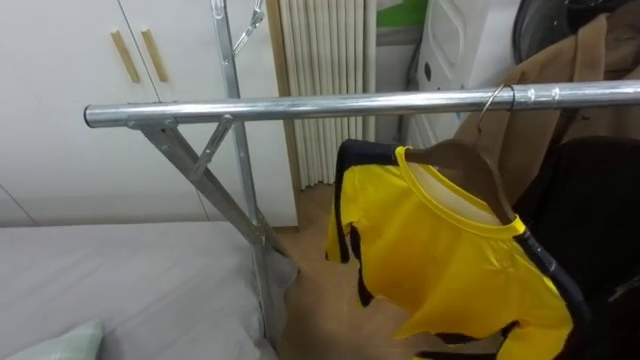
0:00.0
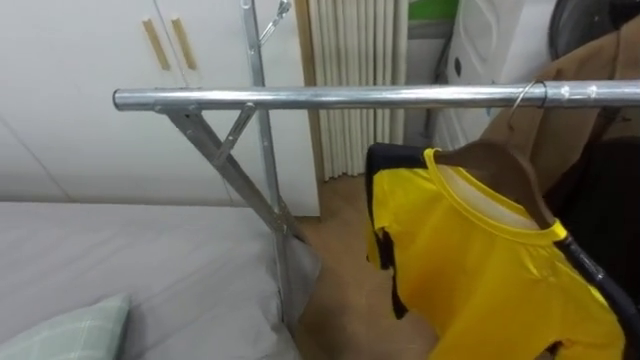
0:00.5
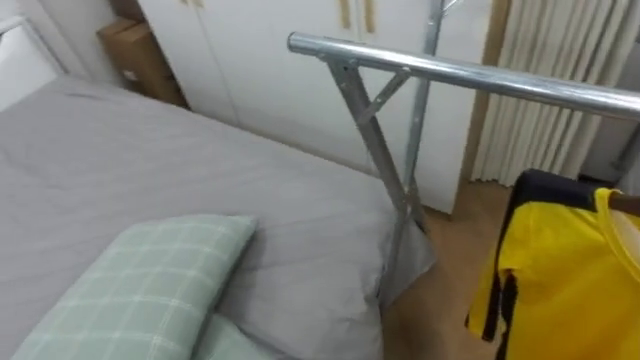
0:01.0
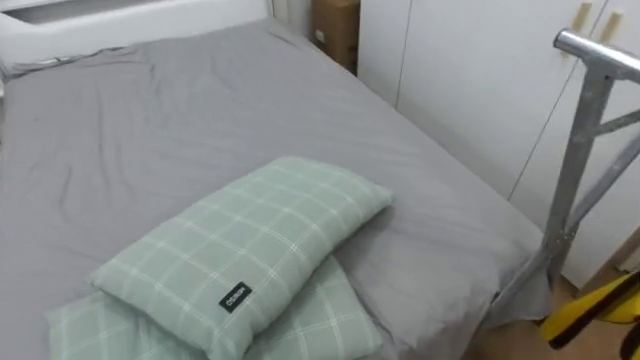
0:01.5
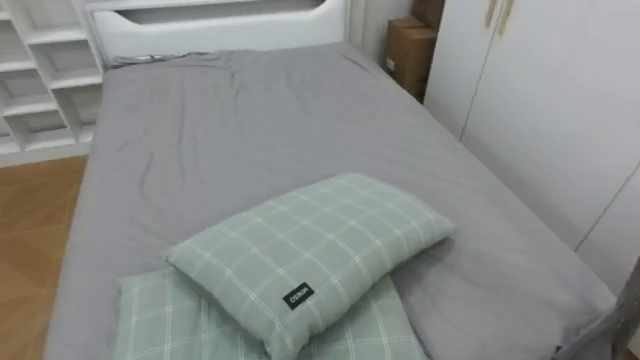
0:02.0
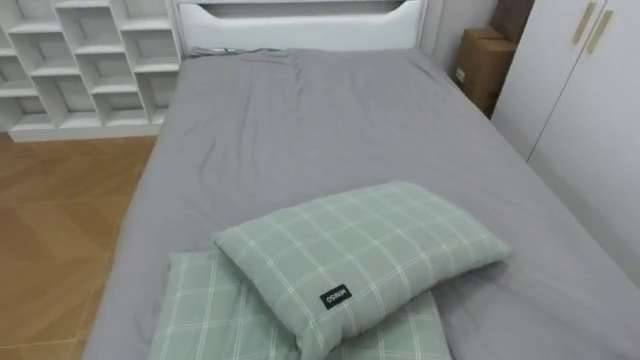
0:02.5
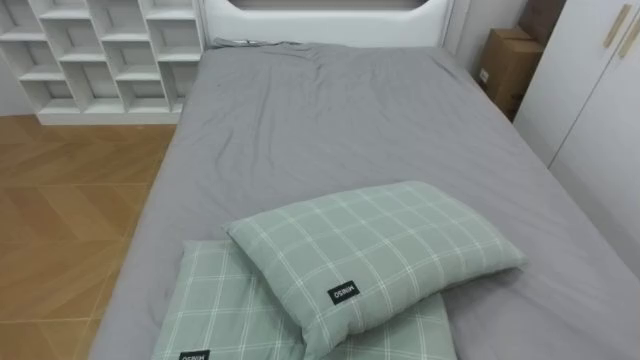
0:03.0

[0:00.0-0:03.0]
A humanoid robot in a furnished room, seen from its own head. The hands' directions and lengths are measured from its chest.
Task of the whole recording: Pick up the yellow shirt on the bed and hang it on the clothes rack on the right.
0:00.0 to 0:01.5: The robot turns to its left by about 60 degrees.
0:01.5 to 0:03.0: The robot rotates roughly 30 degrees to its left.

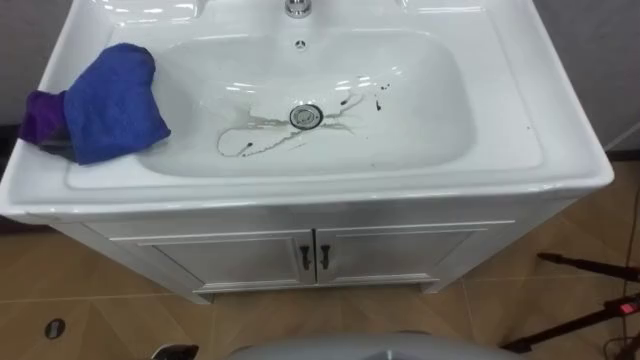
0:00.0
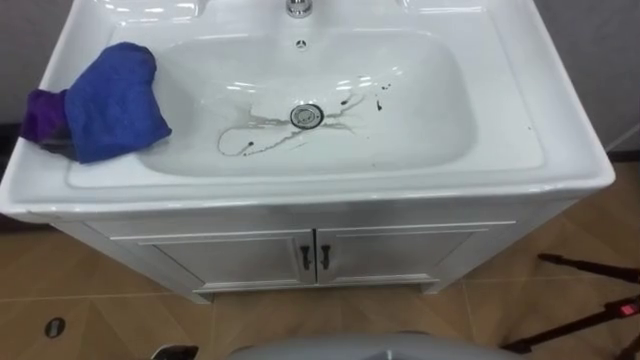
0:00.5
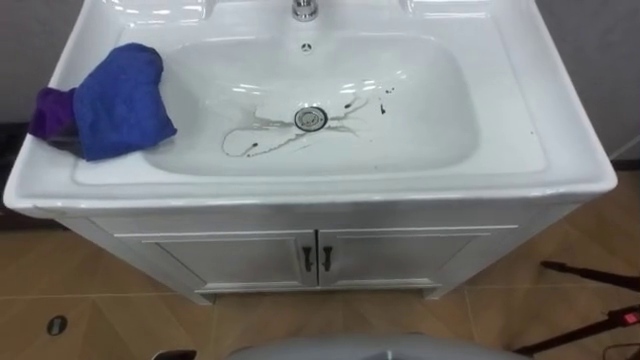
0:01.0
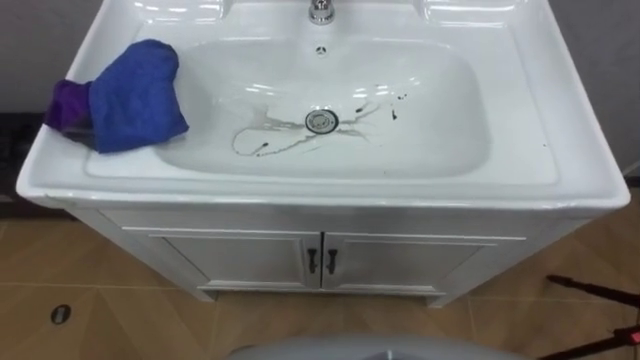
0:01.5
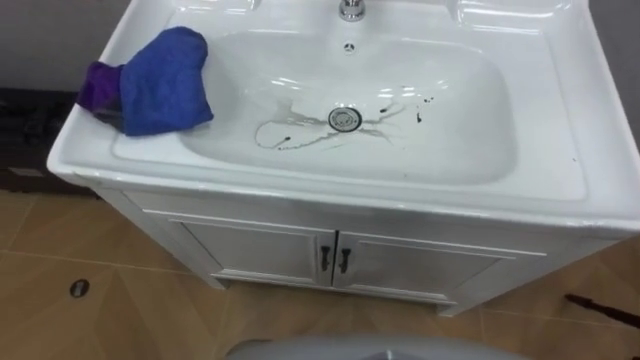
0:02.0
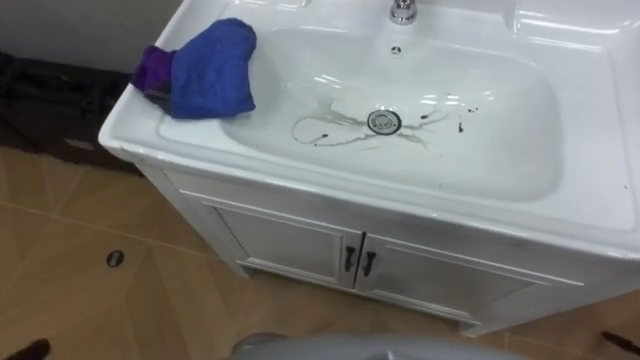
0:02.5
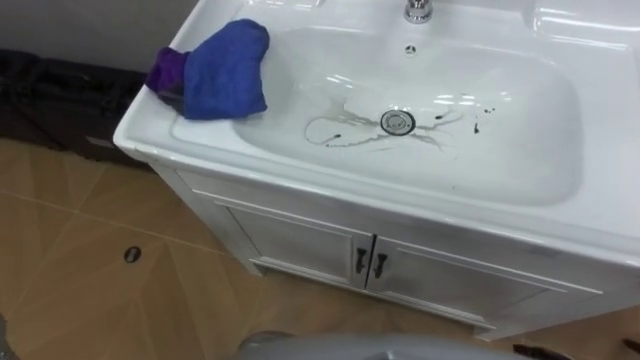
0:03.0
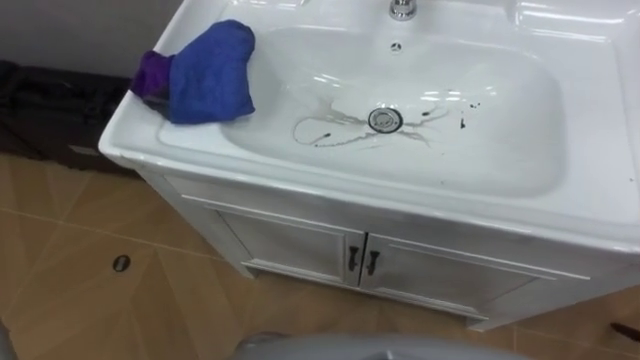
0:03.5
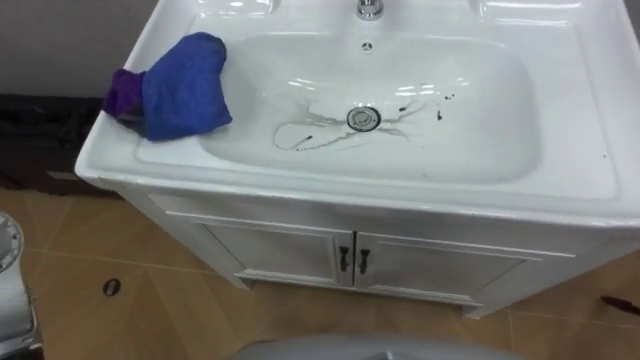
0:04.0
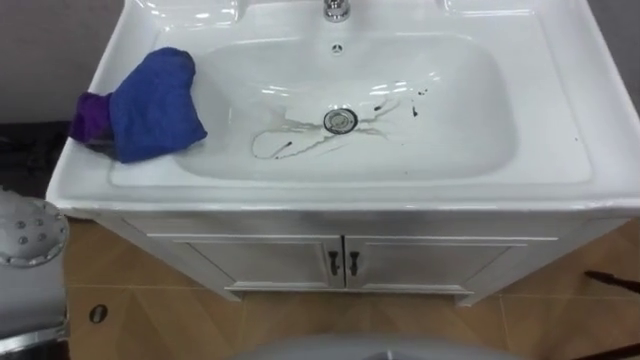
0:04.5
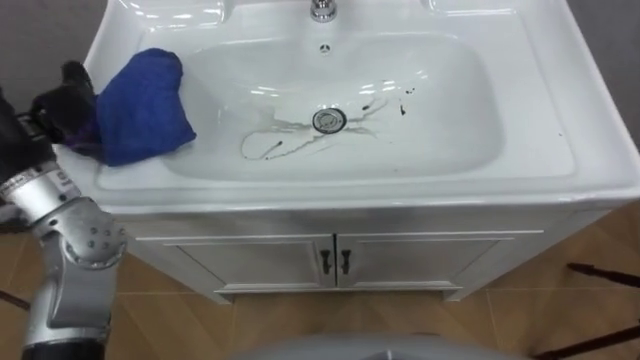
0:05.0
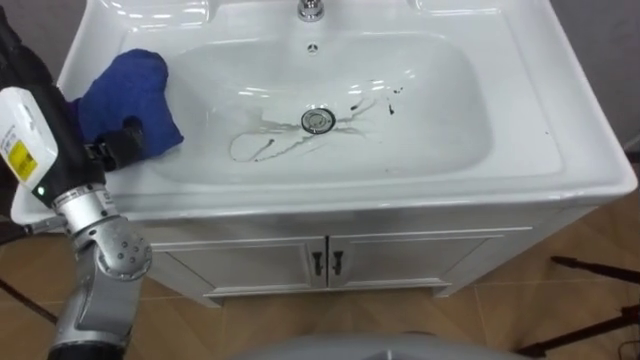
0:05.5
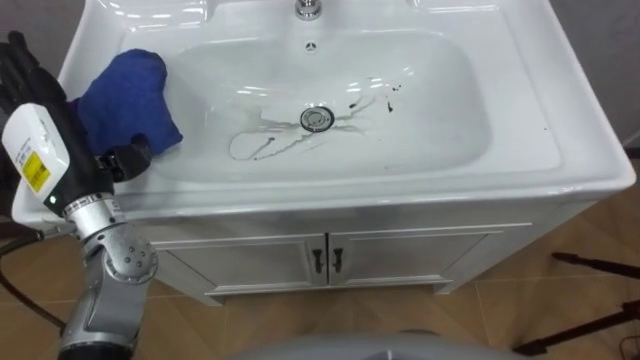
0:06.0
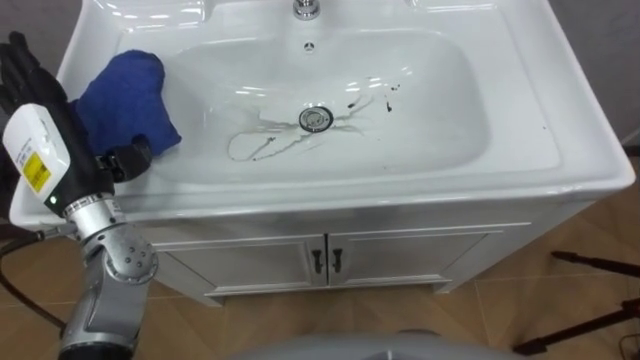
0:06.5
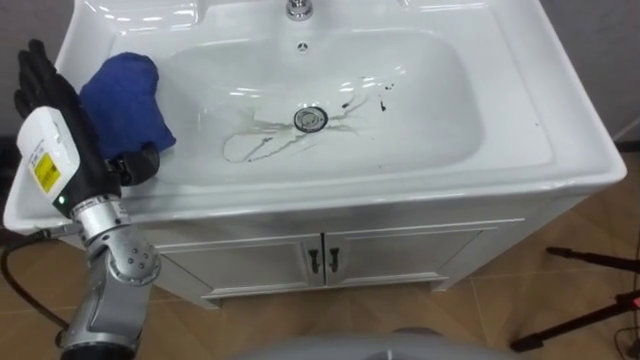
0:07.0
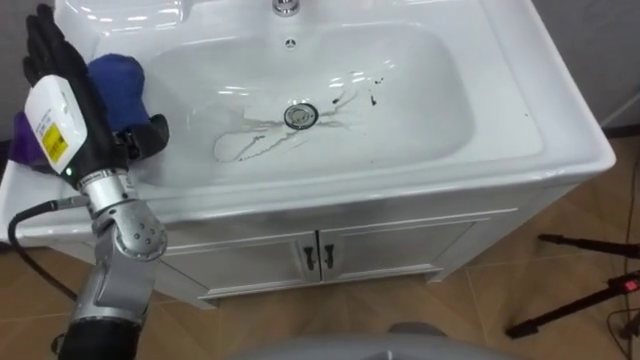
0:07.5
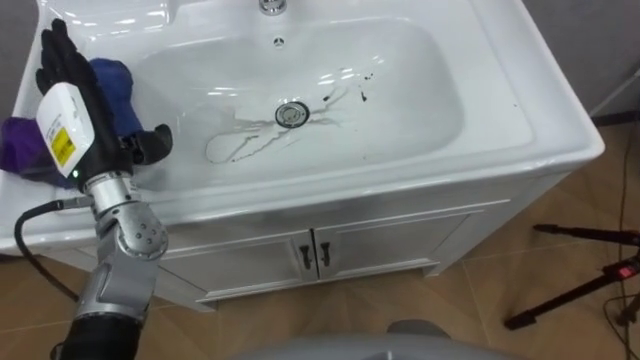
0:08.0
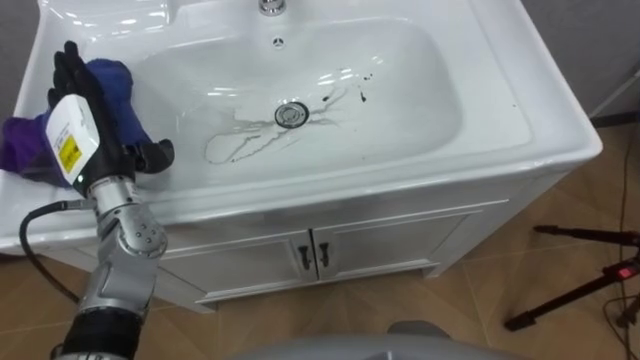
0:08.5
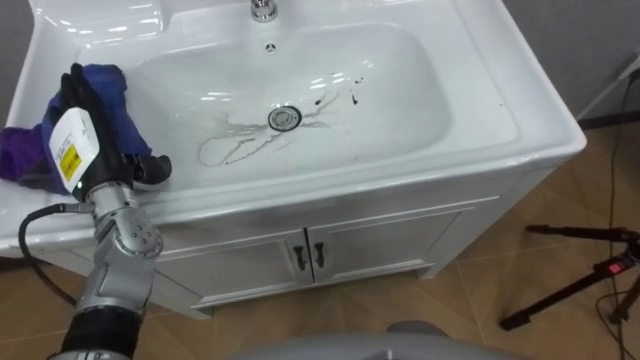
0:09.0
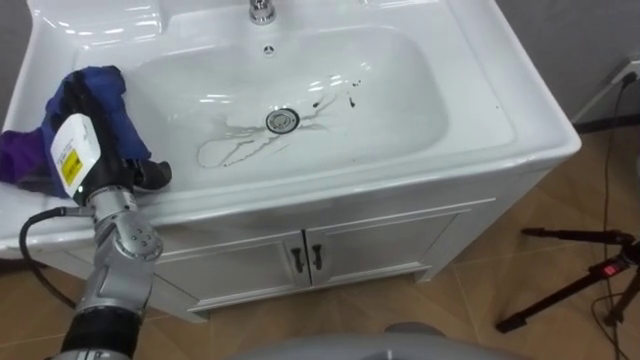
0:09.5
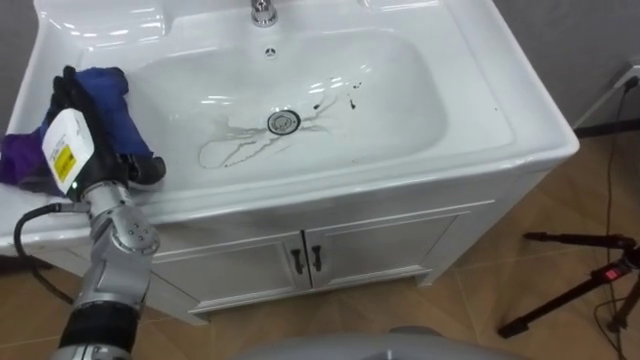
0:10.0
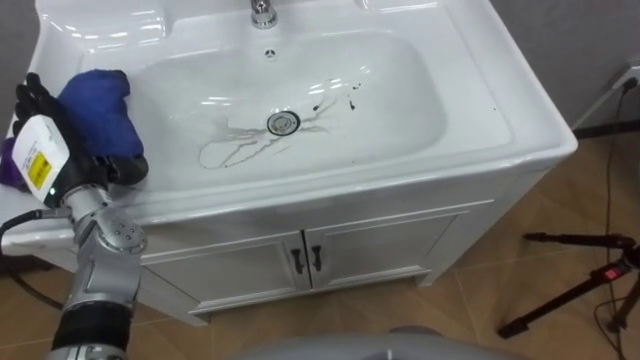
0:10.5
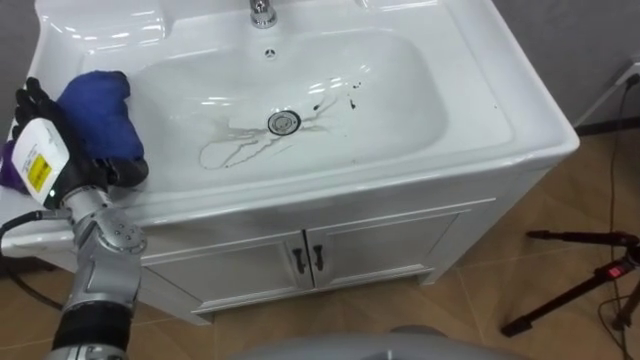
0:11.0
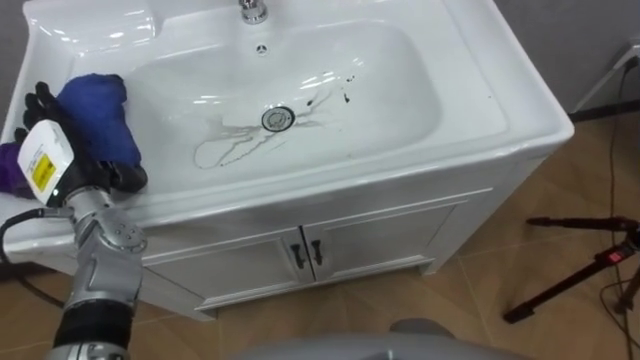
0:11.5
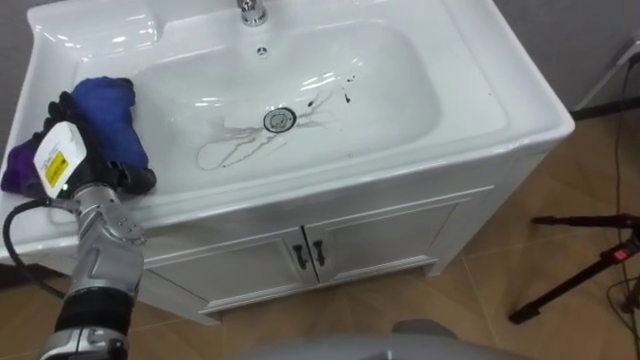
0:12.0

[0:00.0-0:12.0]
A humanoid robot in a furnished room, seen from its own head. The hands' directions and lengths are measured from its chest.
Task of the whole recording: Use the cloth on the right to wipe away the black stain in the sink.
0:08.0 to 0:10.0: The left hand changes place by roughly 5 cm.

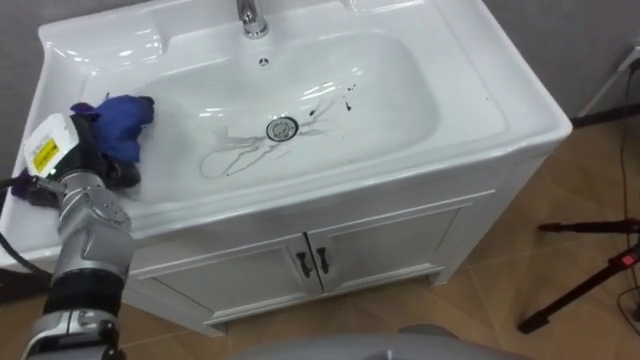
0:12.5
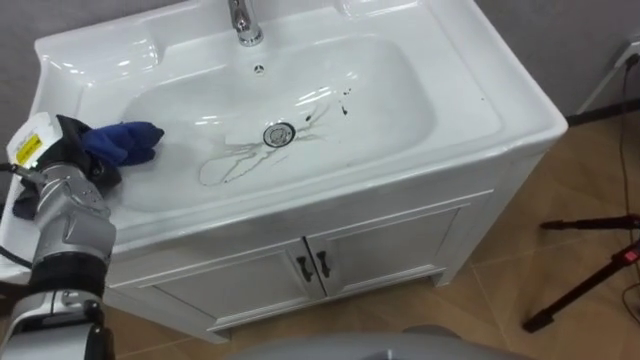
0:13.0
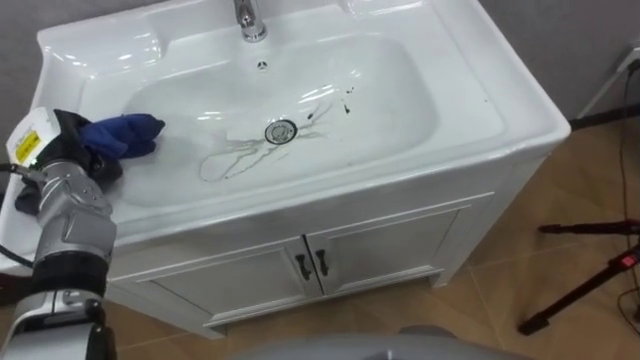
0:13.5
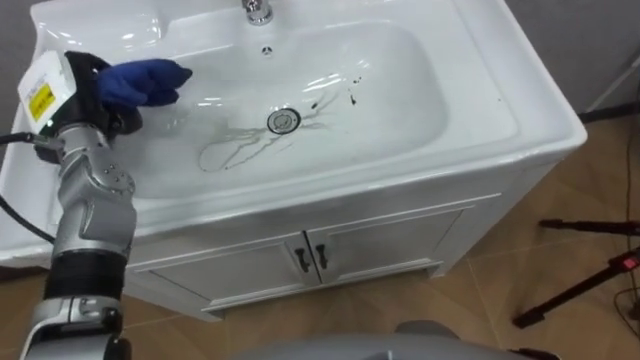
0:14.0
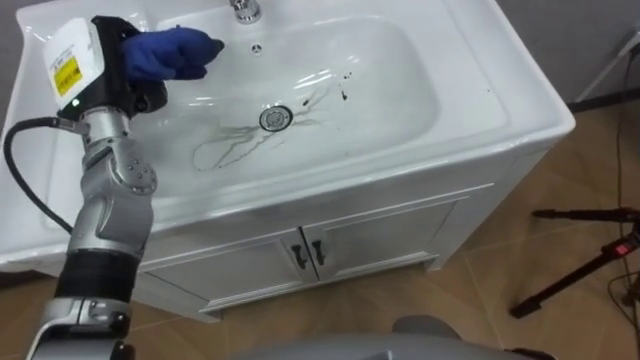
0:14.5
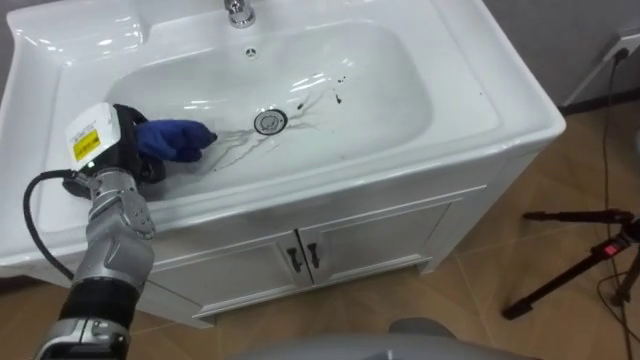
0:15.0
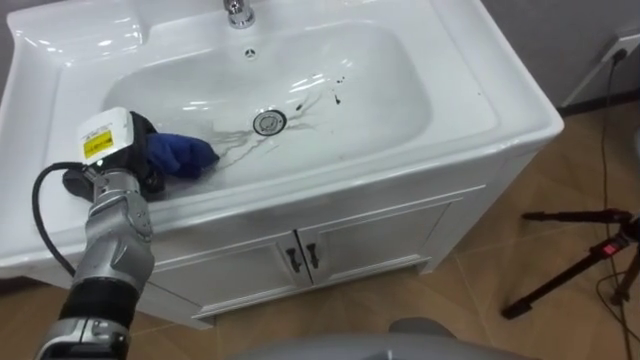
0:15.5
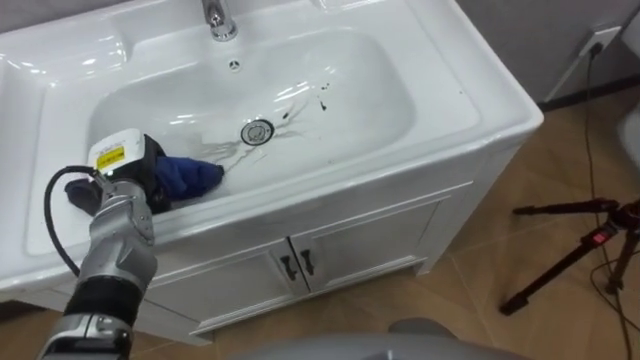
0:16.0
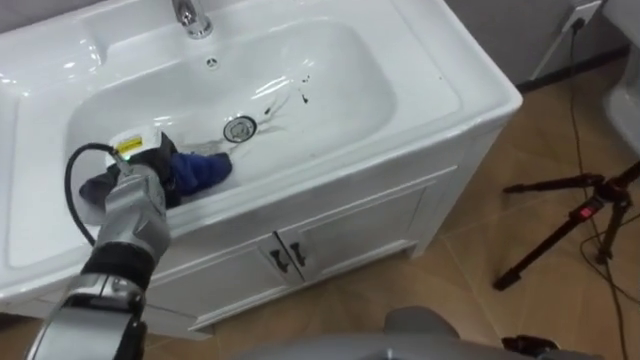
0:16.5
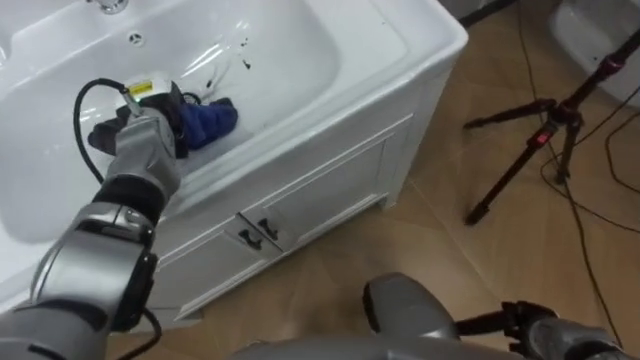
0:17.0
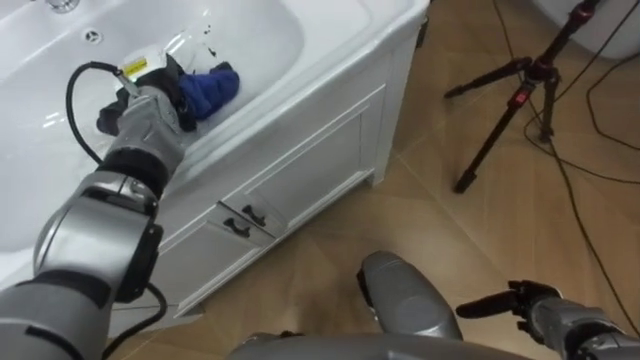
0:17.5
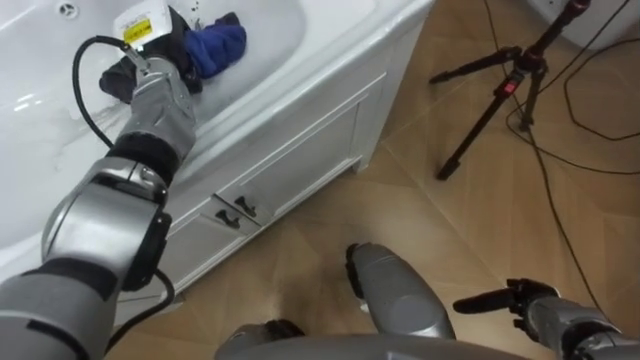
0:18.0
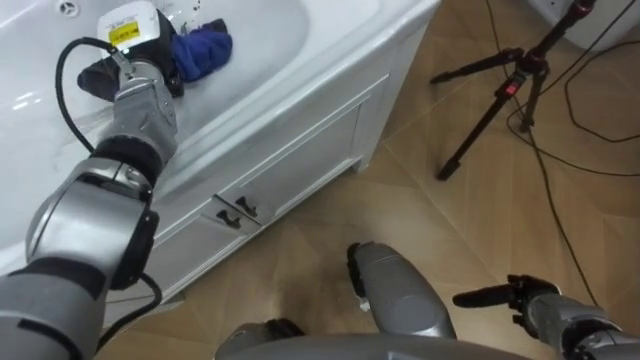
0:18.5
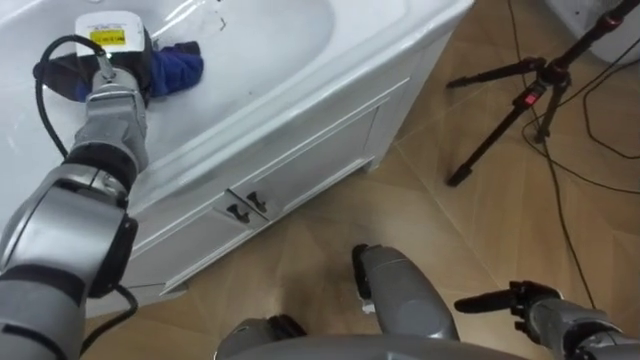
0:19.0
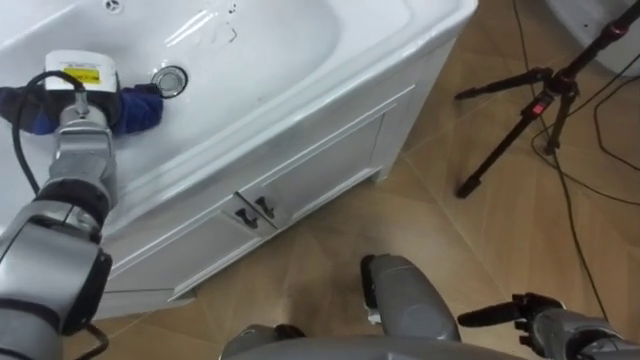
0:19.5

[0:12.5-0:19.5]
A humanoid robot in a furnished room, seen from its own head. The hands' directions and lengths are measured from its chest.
Task of the whole recording: Use the cloth on the right to wipe away the black stain in the sink.
0:12.5 to 0:14.5: The left hand moves upward, to the right and forward, roughly 15 cm, and closes.
0:14.5 to 0:16.0: The left hand goes some 15 cm downward.
0:16.0 to 0:17.5: The left hand moves forward and to the right, about 10 cm.
0:17.5 to 0:19.5: The left hand travels to the left by some 10 cm.
